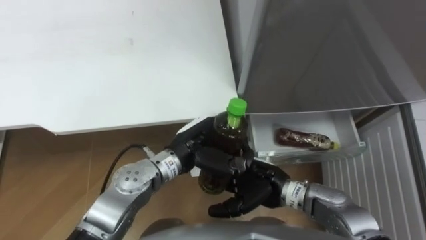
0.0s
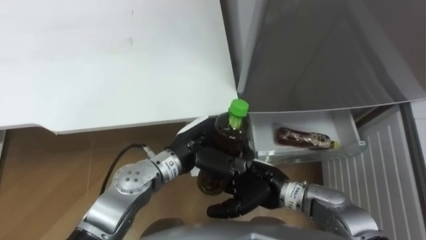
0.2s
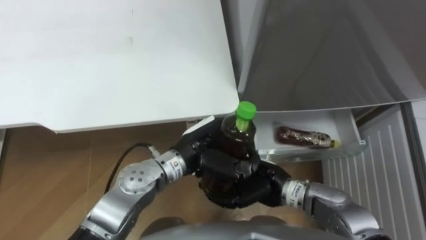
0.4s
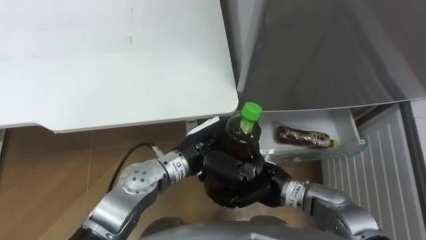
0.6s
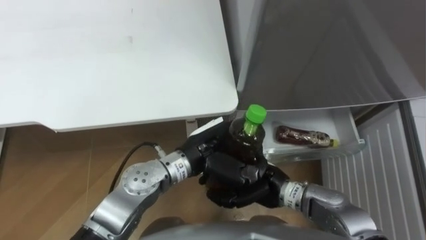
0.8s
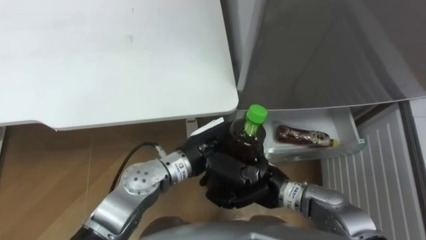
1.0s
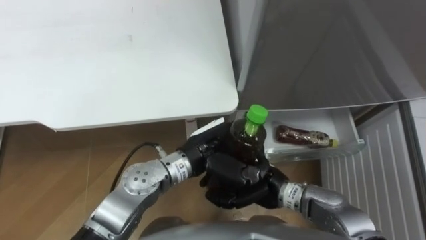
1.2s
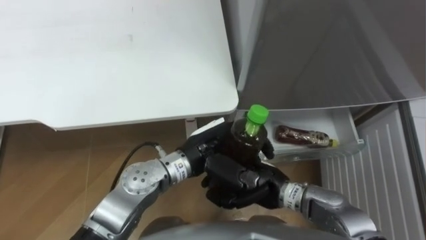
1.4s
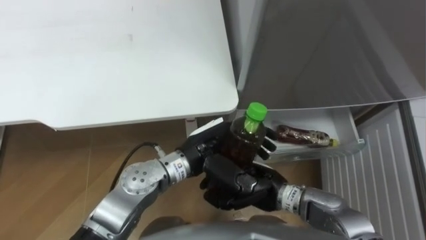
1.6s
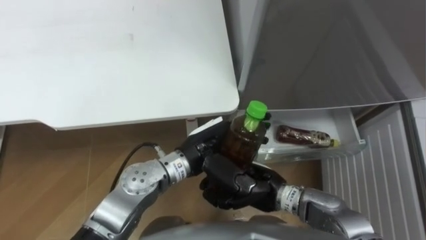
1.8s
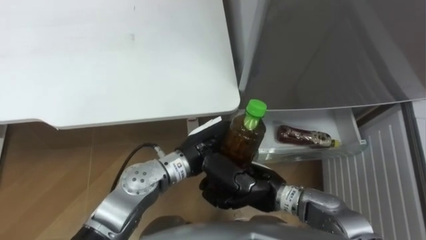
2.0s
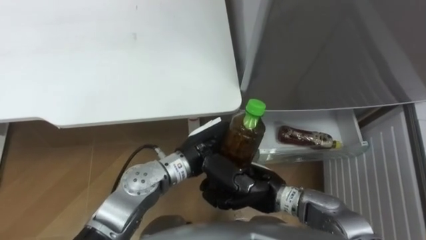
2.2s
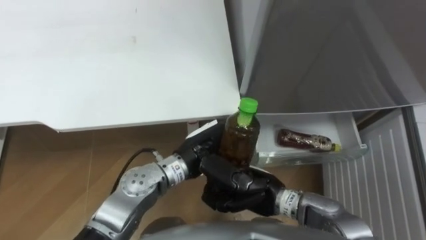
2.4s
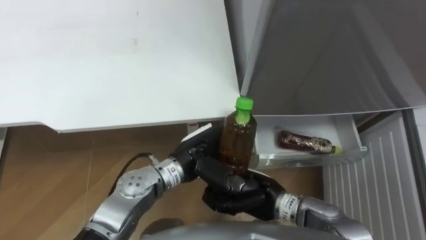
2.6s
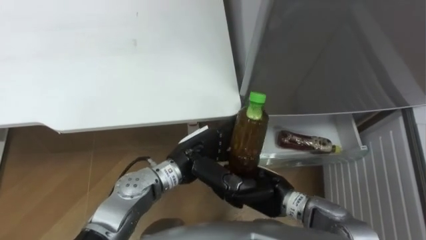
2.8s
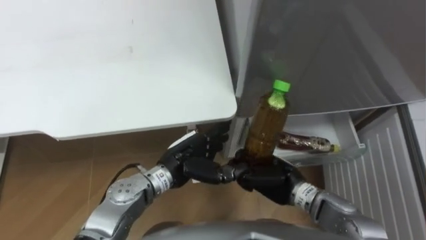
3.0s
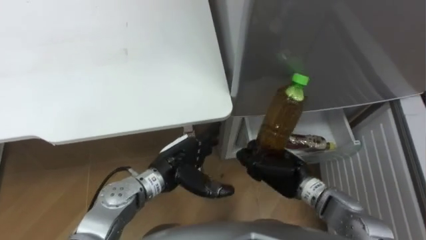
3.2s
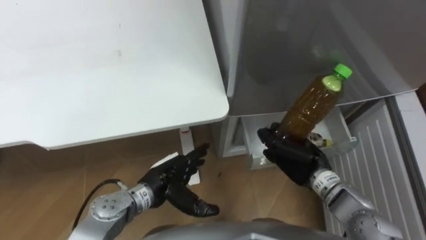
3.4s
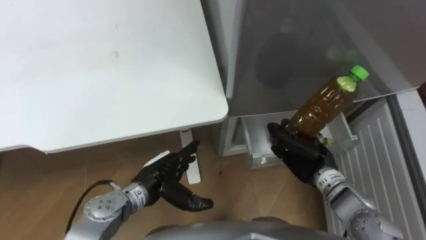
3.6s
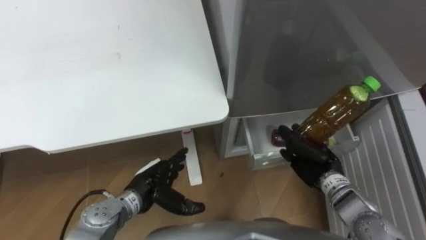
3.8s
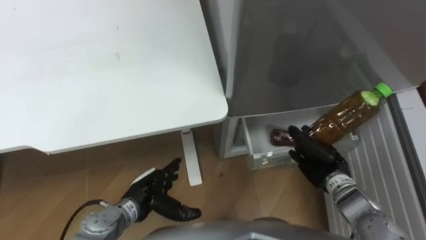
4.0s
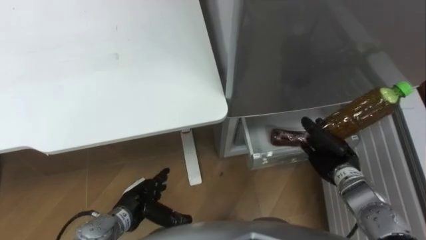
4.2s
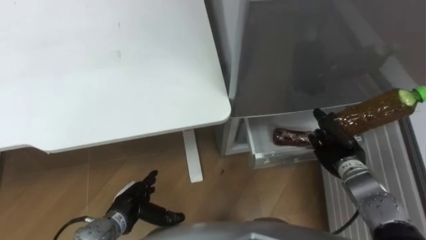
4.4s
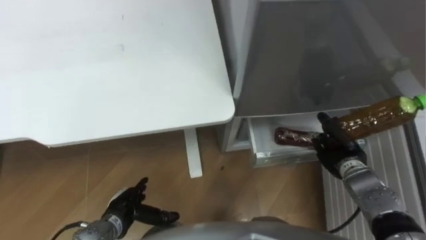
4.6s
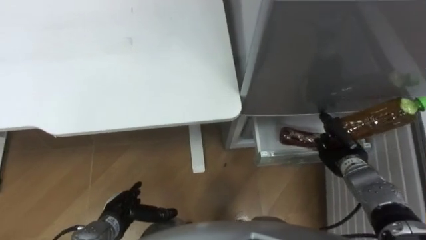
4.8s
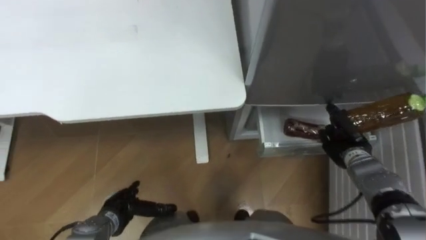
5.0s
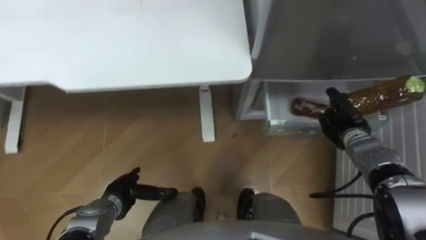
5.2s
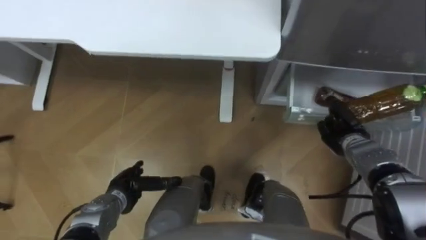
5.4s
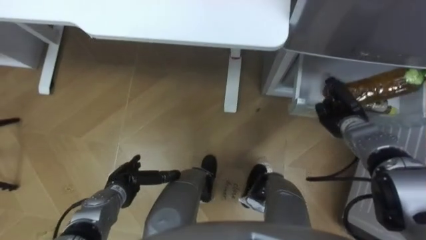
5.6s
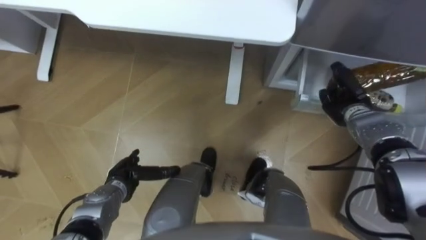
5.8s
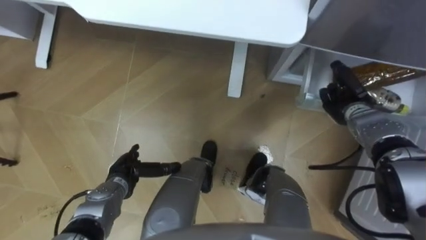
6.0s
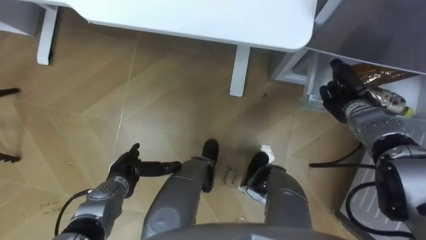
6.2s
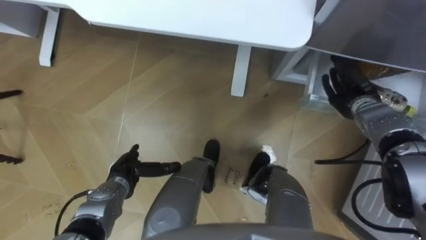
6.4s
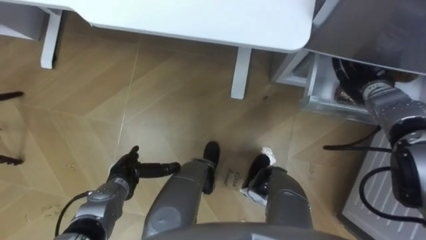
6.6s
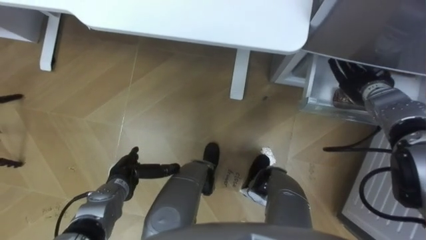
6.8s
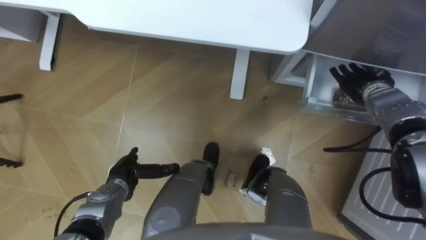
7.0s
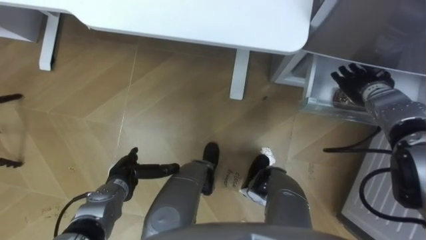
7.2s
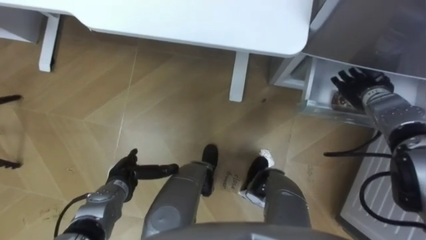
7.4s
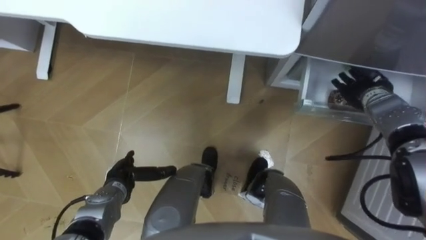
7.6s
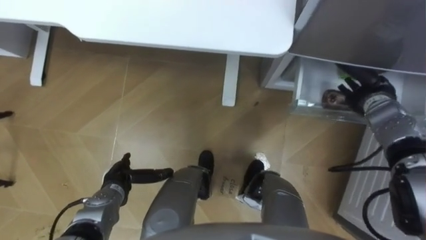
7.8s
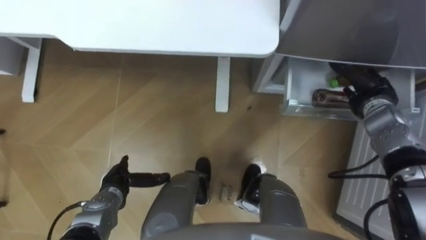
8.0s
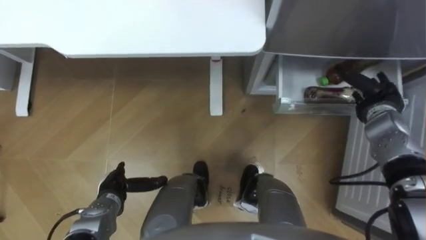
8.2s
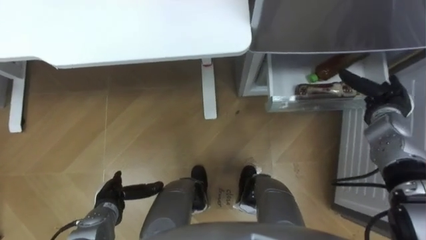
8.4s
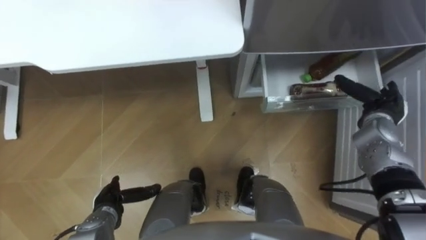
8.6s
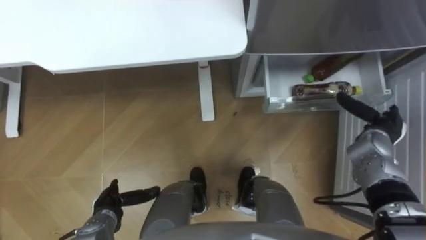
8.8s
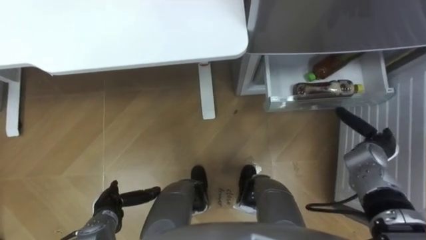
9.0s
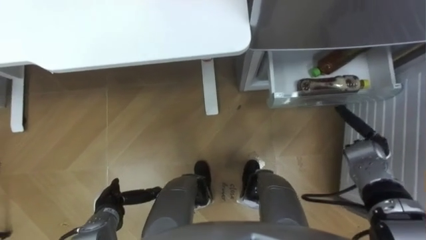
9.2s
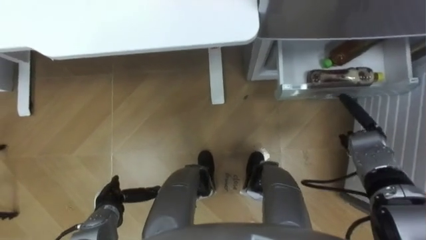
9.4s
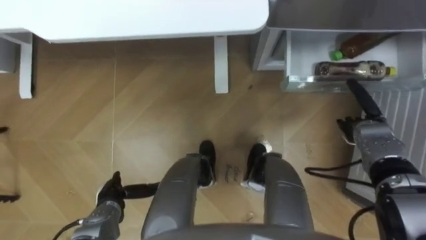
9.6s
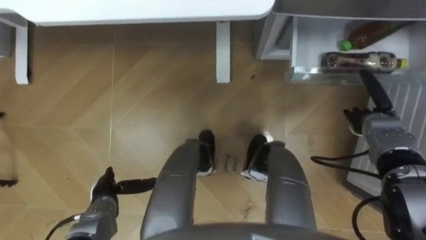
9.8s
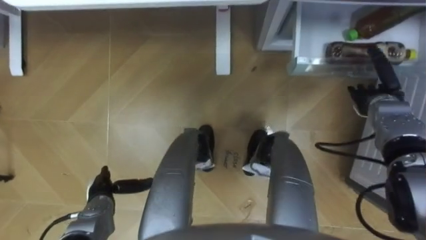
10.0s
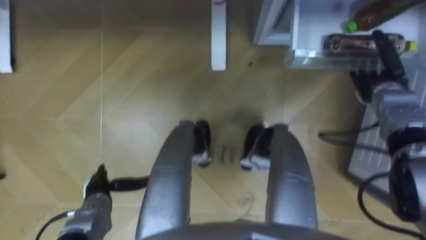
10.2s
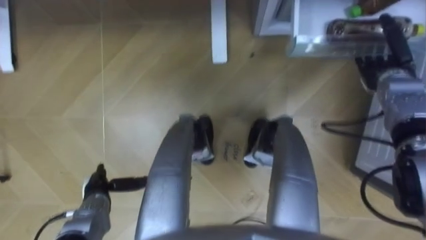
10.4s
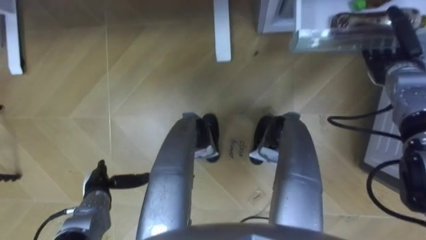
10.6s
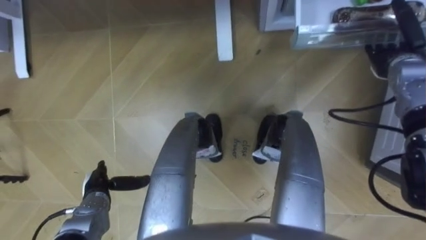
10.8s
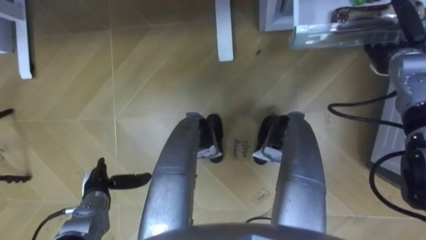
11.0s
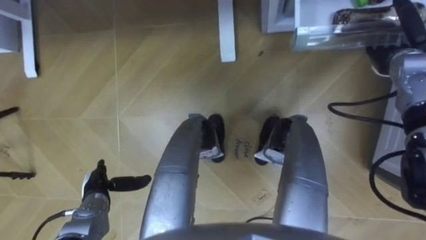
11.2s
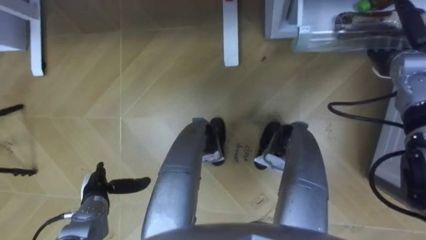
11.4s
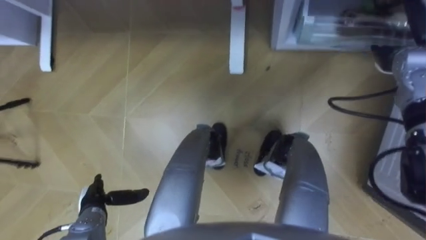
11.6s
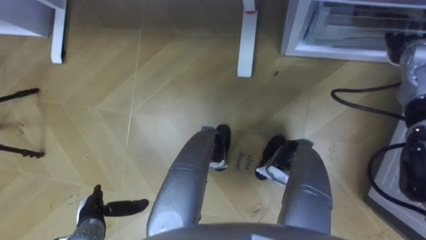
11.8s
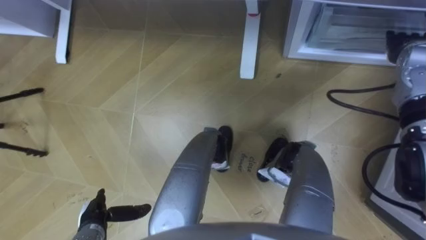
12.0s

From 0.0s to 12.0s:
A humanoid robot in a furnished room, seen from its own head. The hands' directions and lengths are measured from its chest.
Task of the whole recording: Place the drink on the table on the bottom shelf of the refrigerator, then close the drawer and the refrigerator door.
From 0.0s to 1.6s: The left hand opens. Meanwhile the right hand closes.
From 1.6s to 3.0s: The left hand heads downward, covering about 5 cm, and opens its fingers.
From 3.0s to 4.4s: The right hand heads to the right, covering approximately 15 cm. The left hand moves to the left, downward and backward, about 15 cm.
From 4.4s to 6.0s: The right hand is displaced forward by about 10 cm. Meanwhile the left hand moves forward, roughly 5 cm.
From 6.0s to 7.6s: The right hand opens.
From 7.6s to 9.0s: The left hand goes roughly 5 cm backward; the right hand is displaced backward and downward by approximately 10 cm.
From 9.0s to 10.4s: The right hand heads forward and upward, covering some 15 cm.
From 10.4s to 12.0s: The right hand travels upward by about 5 cm; the left hand is displaced backward by some 5 cm.

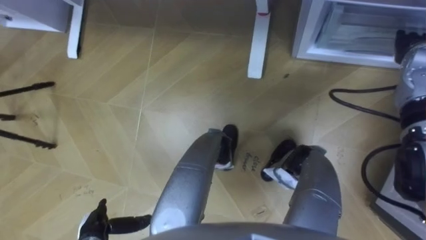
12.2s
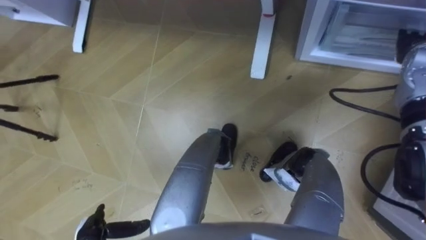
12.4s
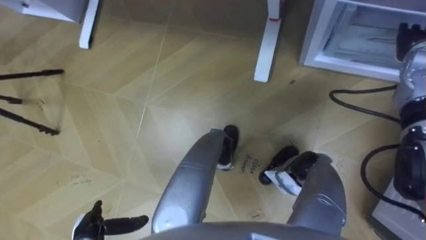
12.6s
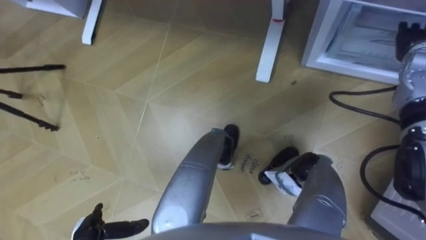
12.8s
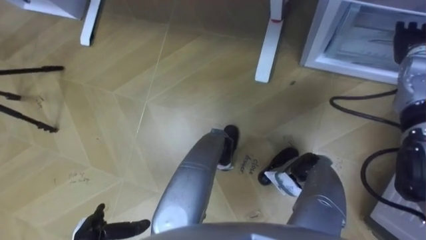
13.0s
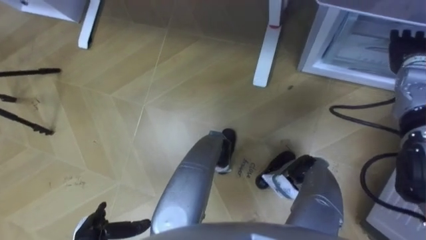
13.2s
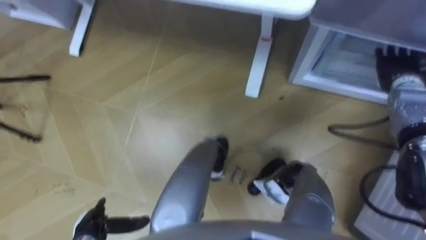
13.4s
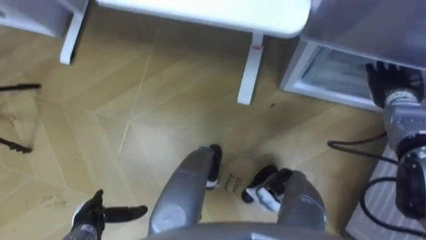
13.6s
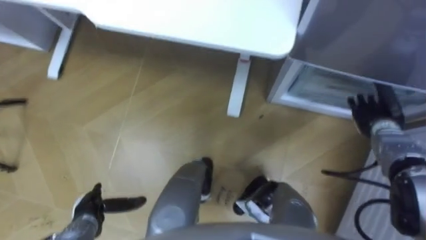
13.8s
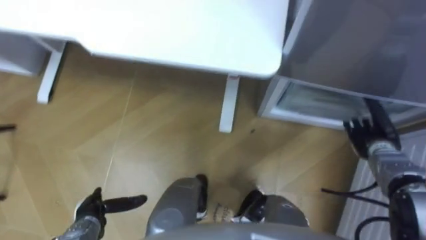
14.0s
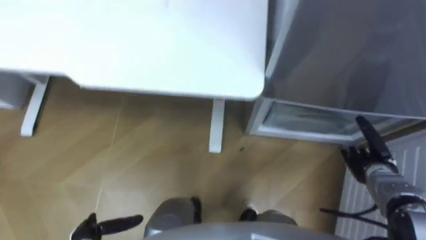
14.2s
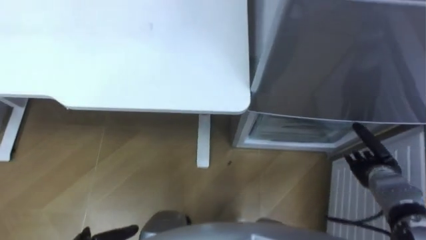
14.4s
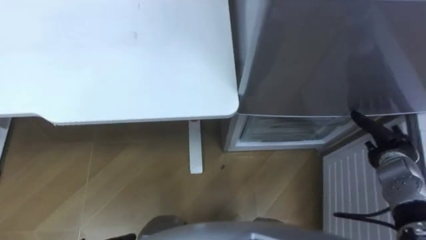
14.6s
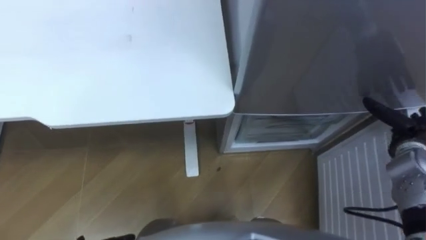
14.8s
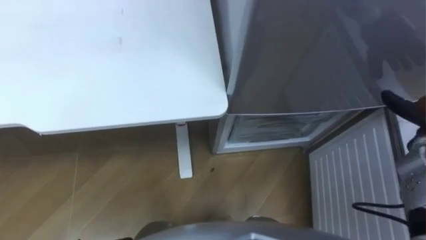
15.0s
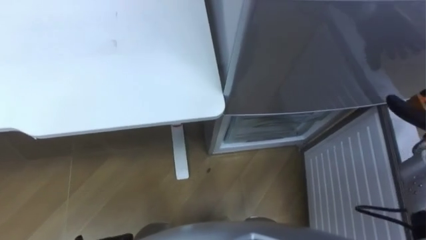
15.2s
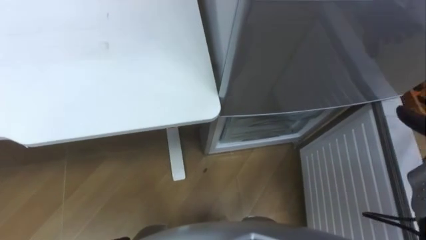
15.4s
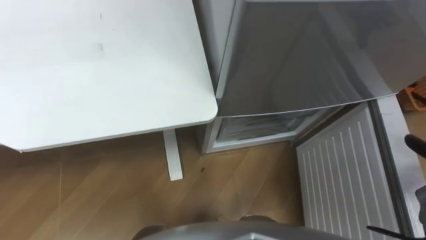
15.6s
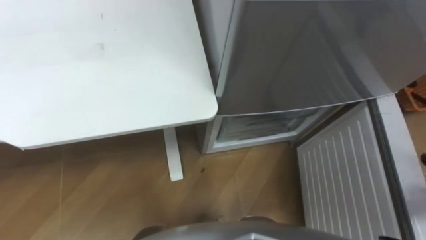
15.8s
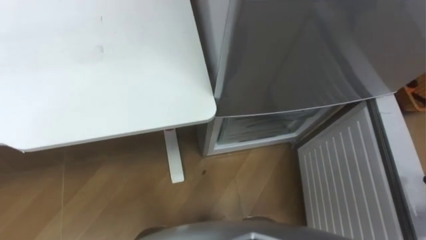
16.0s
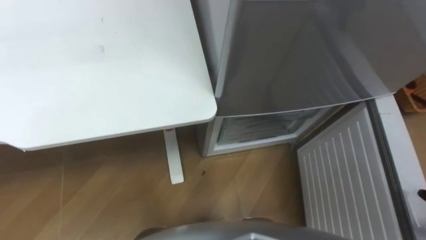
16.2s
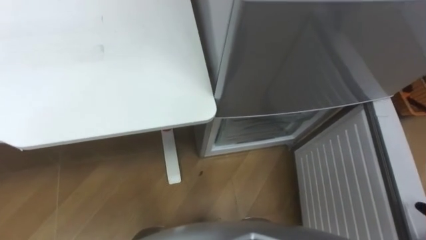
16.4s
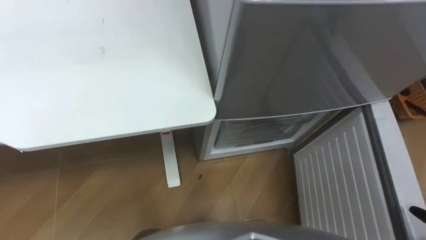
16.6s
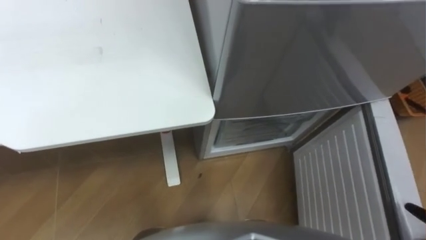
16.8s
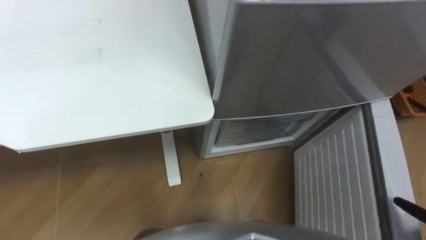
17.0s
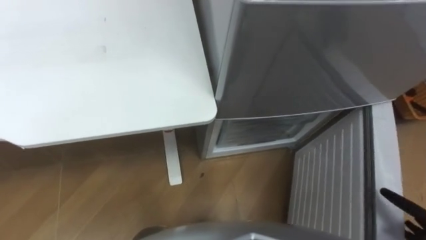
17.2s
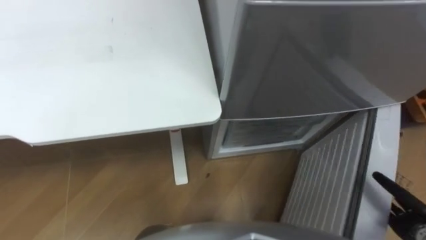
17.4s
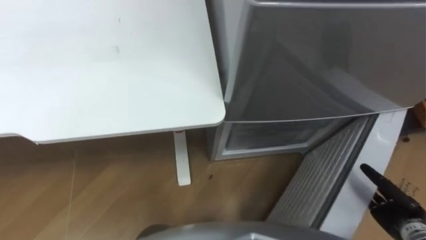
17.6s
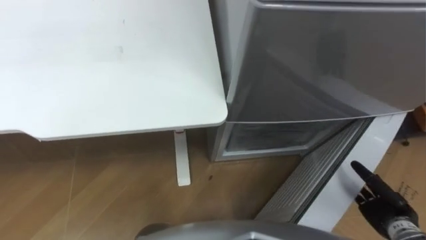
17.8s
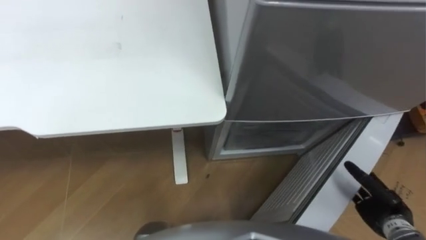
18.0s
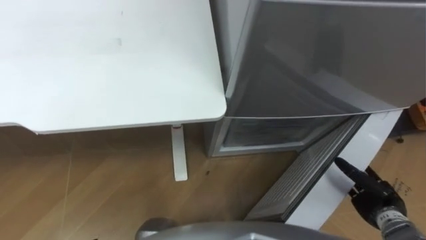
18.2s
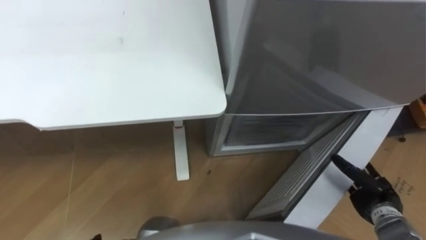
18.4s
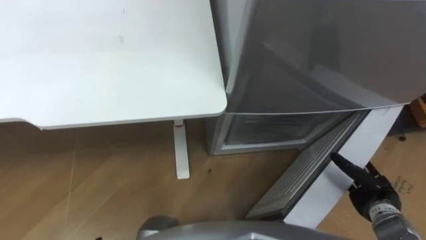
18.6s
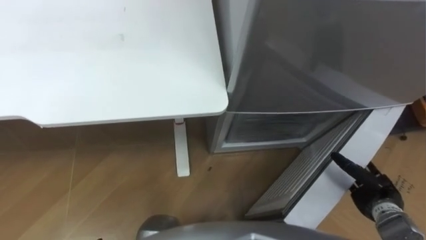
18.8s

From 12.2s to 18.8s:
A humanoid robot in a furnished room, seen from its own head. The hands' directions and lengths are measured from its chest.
Task of the whole recording: Place the drink on the table on the bottom shelf of the refrigerator, then close the drawer and the refrigerator door.
From 12.2s to 13.8s: The right hand moves downward and backward, about 15 cm.
From 17.2s to 18.8s: The right hand heads to the left and forward, covering some 15 cm.
